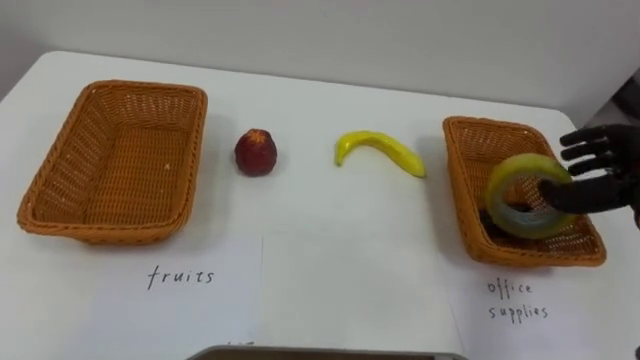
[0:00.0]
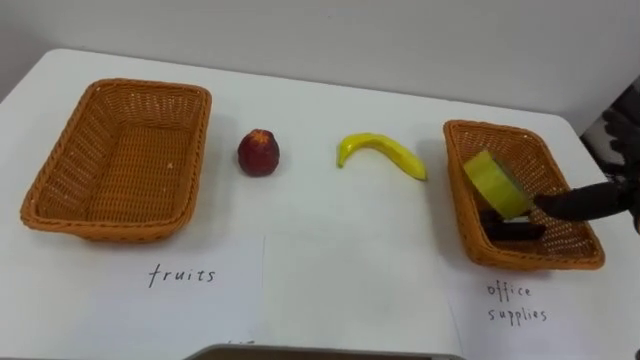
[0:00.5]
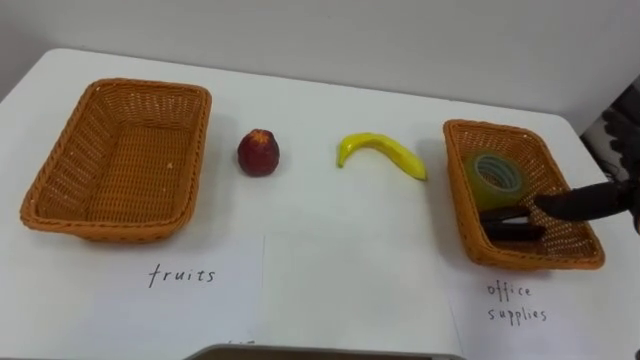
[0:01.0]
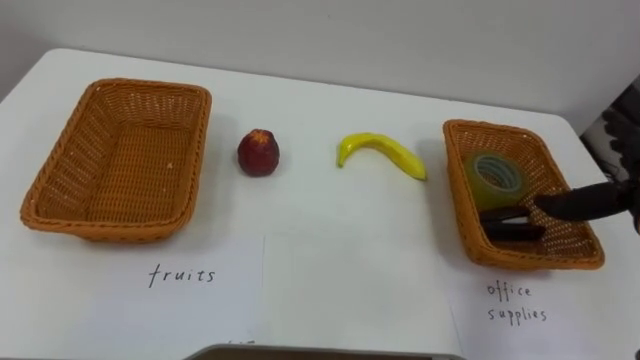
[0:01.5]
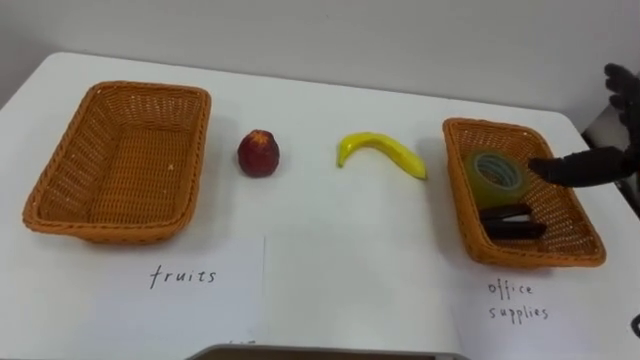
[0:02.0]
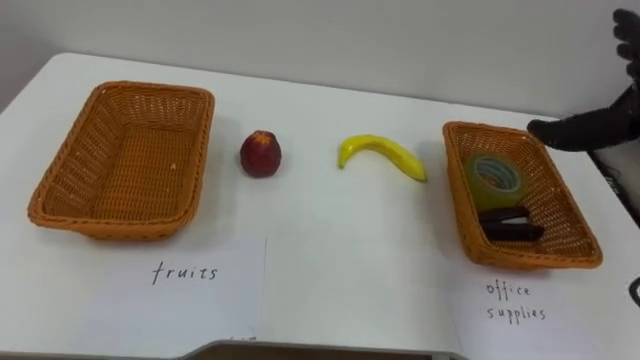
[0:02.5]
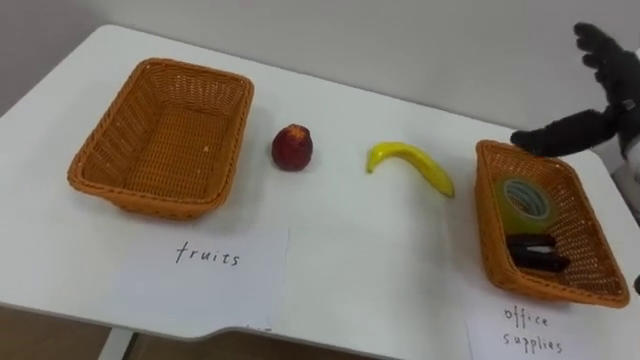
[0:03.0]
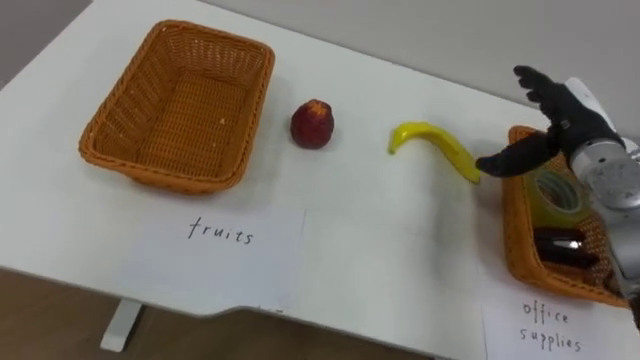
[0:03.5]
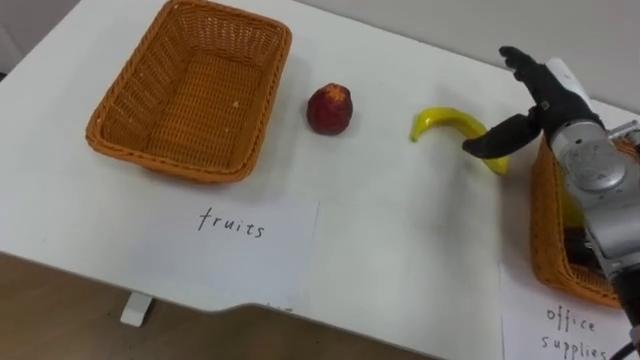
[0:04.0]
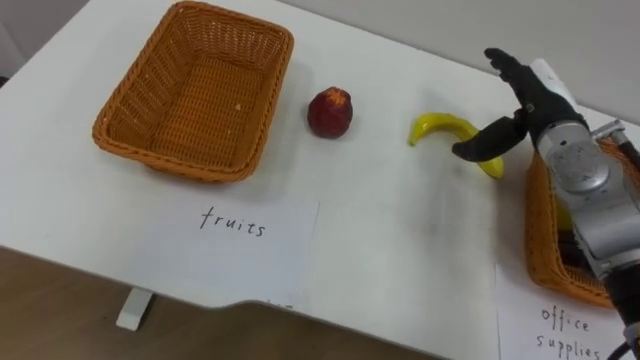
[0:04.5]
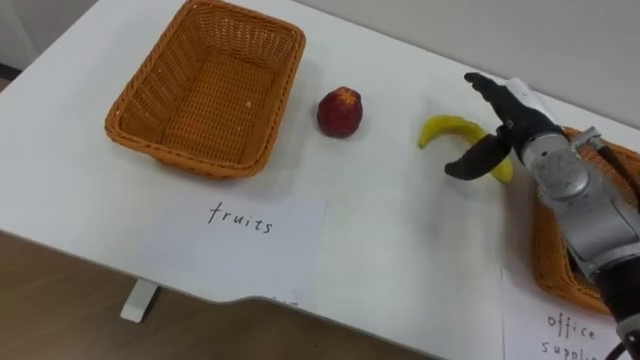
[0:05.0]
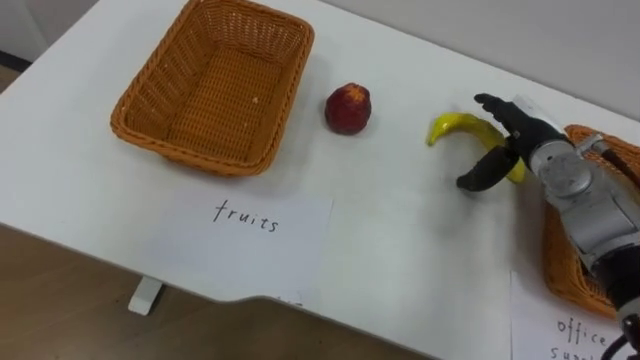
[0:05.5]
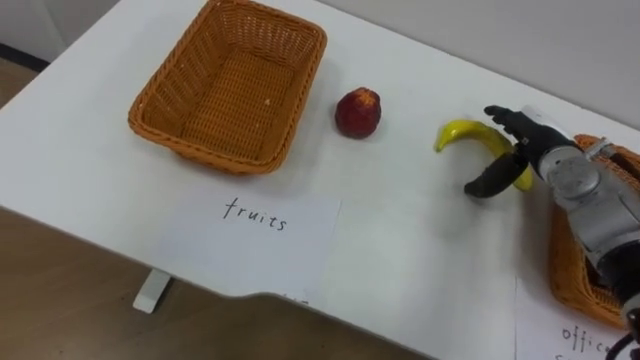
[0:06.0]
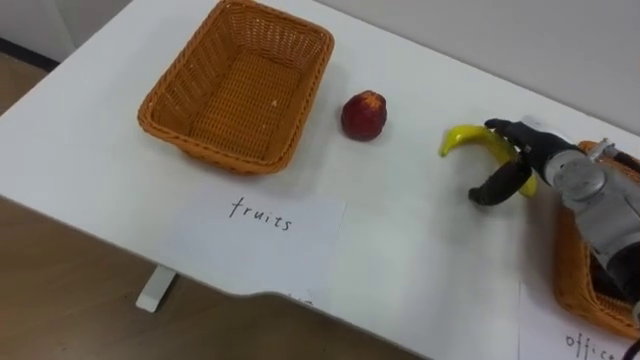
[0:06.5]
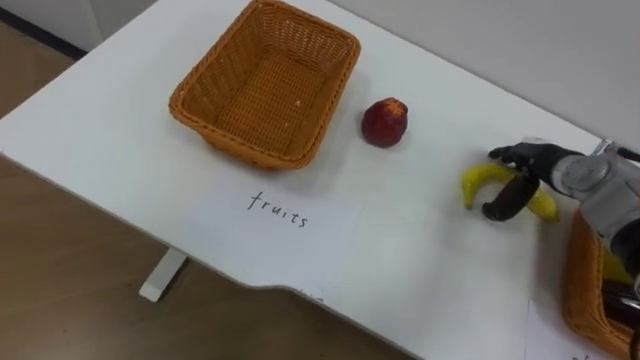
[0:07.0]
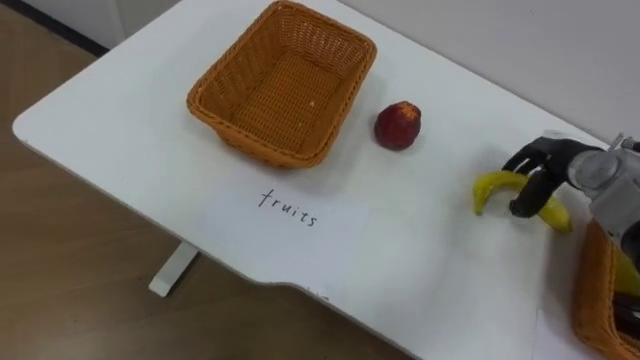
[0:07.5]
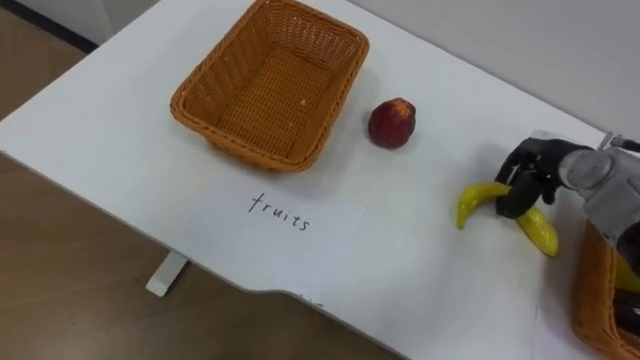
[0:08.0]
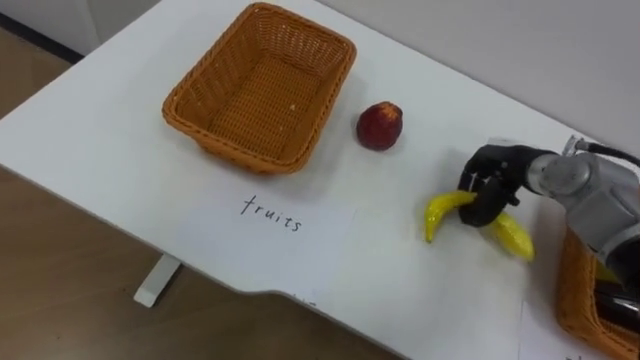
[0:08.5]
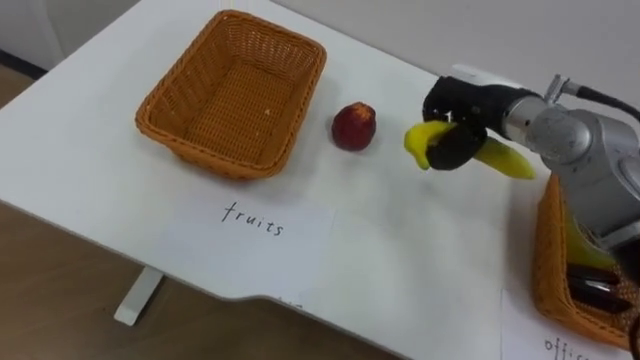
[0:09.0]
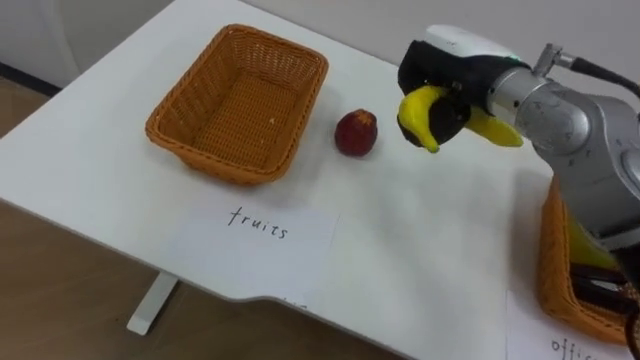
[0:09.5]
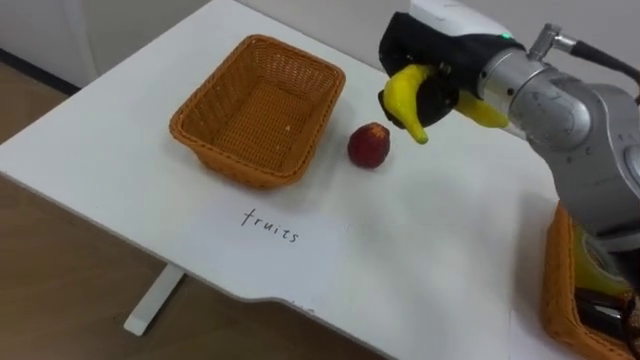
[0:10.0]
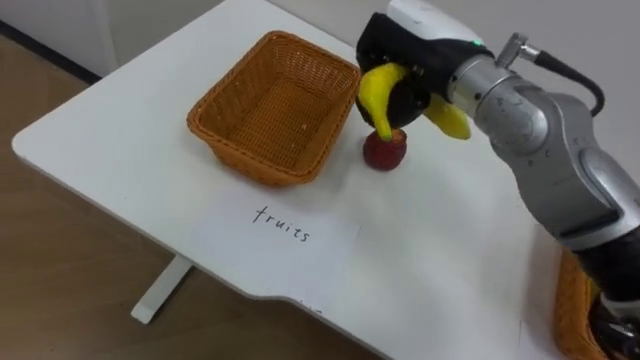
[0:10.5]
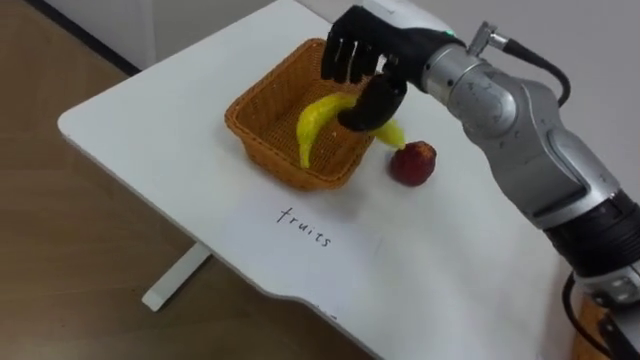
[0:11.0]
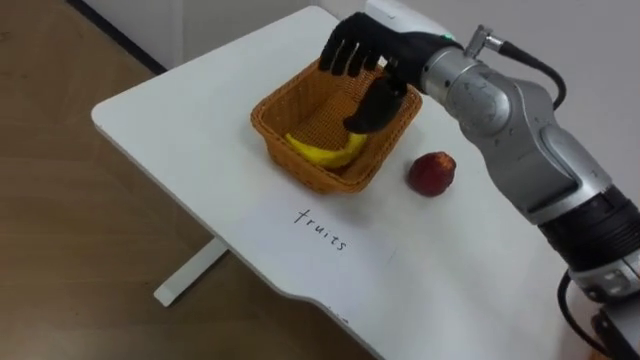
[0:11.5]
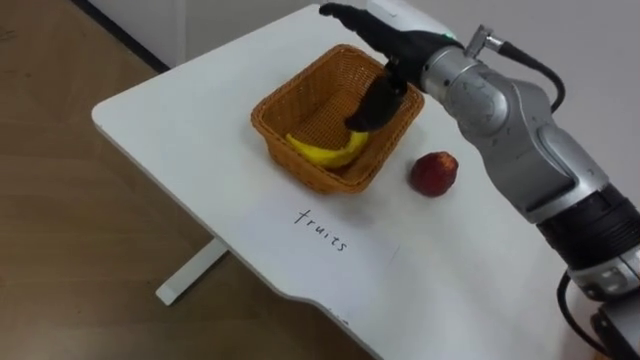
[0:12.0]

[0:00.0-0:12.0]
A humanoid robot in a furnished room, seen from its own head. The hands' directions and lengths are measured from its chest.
Task of the whole recording: Separate the items on the table and place them into the two baskets.
0:04.0 to 0:06.0: The right hand shifts approximately 5 cm downward.
0:06.0 to 0:08.0: The right hand closes.
0:08.0 to 0:10.0: The right hand travels upward and to the left by approximately 25 cm.
0:10.0 to 0:12.0: The right hand shifts by roughly 5 cm, and opens.

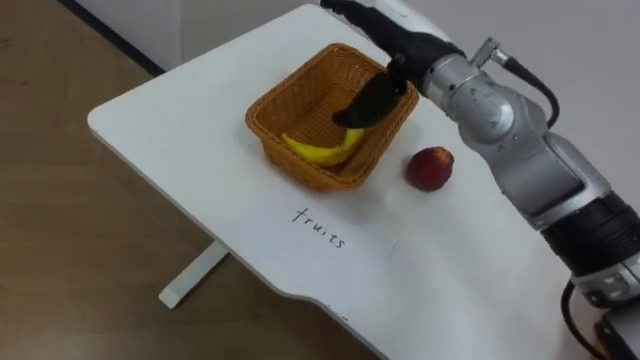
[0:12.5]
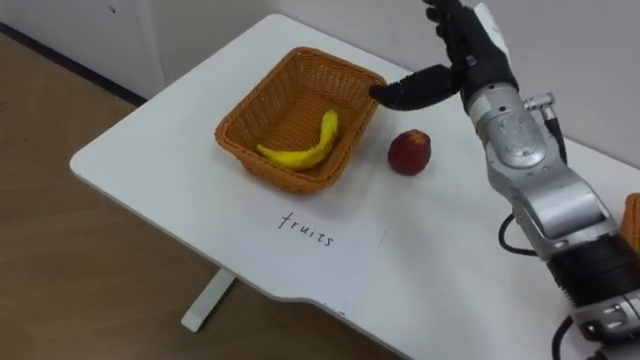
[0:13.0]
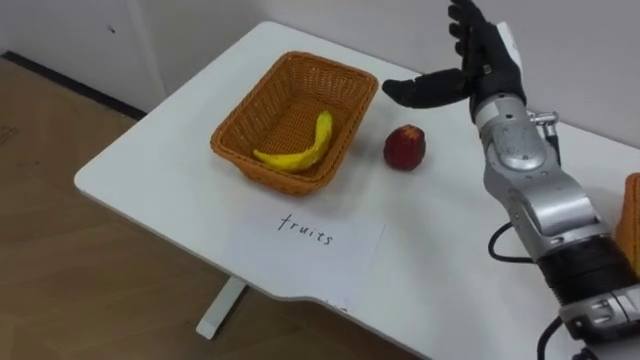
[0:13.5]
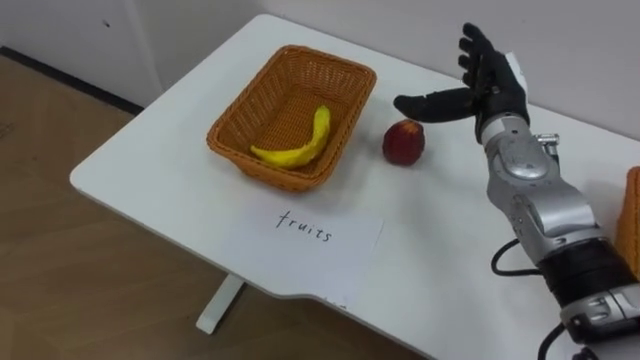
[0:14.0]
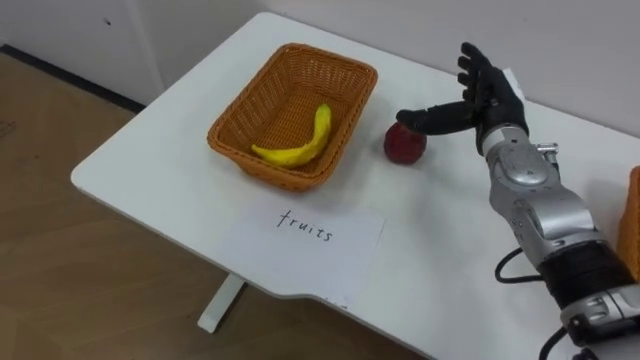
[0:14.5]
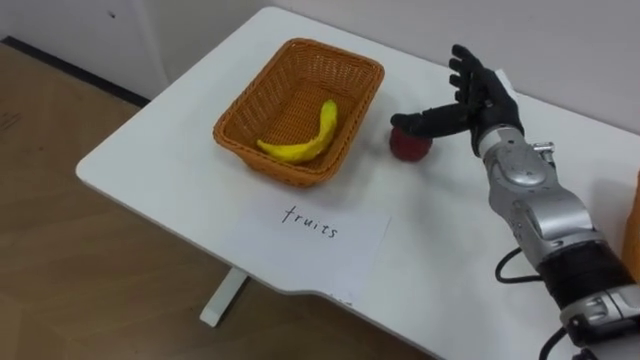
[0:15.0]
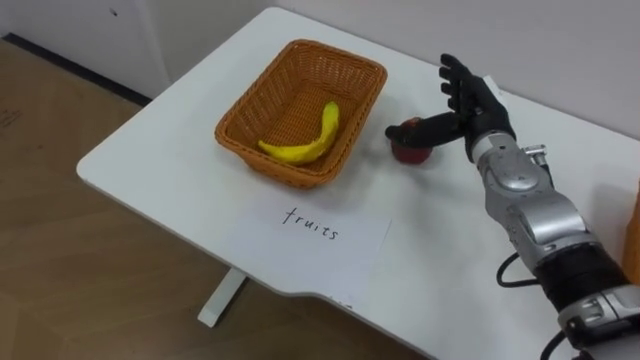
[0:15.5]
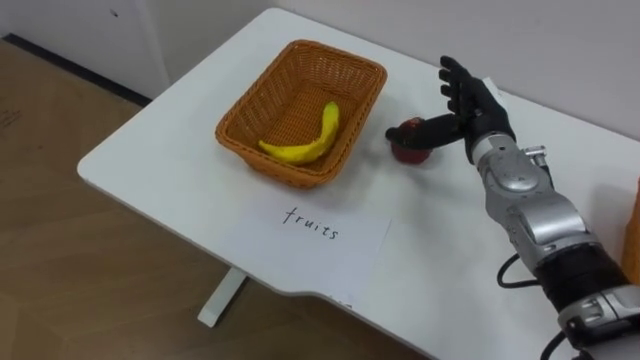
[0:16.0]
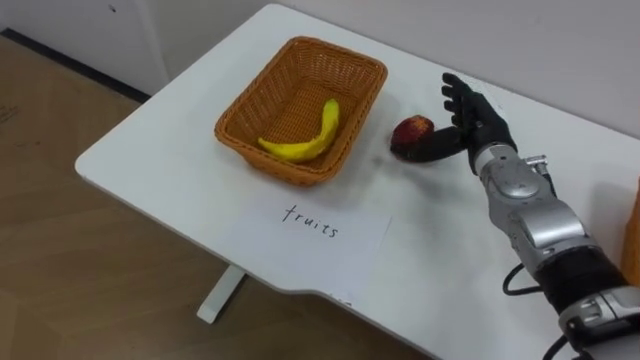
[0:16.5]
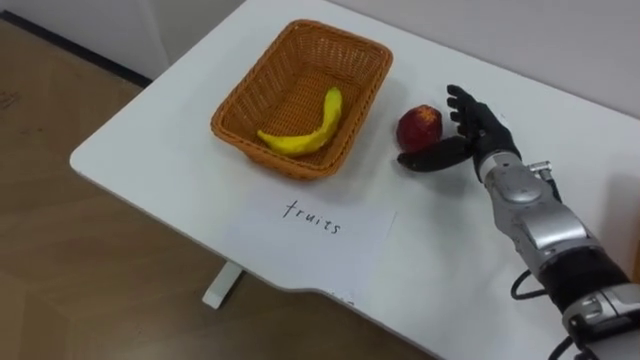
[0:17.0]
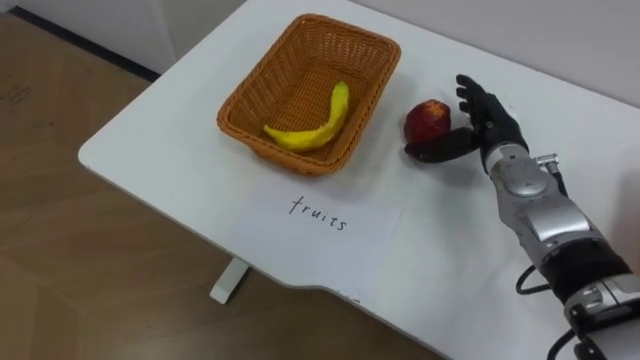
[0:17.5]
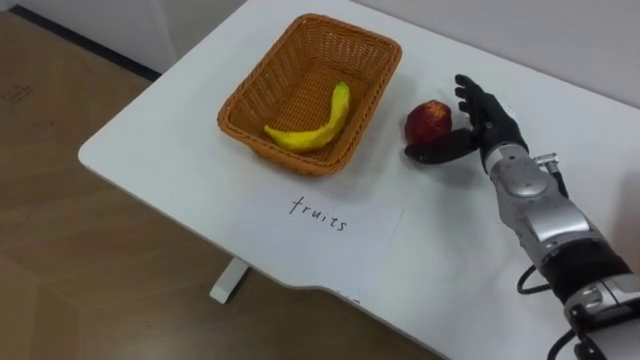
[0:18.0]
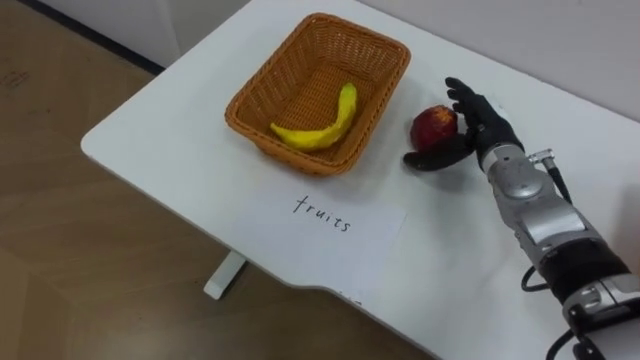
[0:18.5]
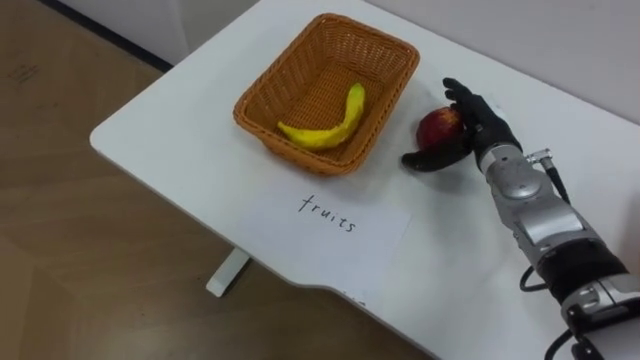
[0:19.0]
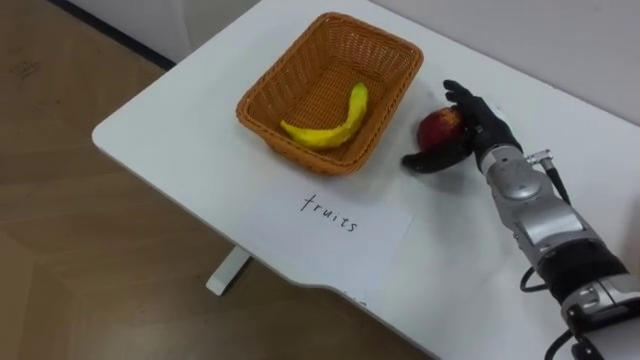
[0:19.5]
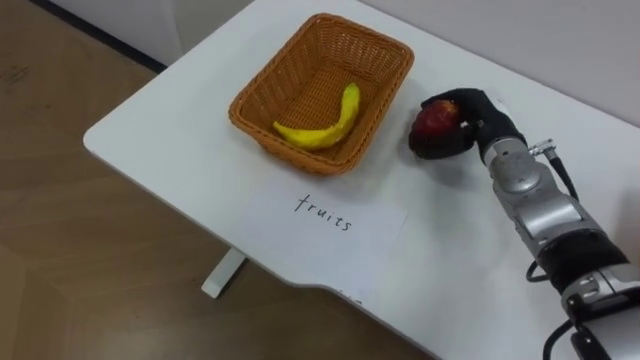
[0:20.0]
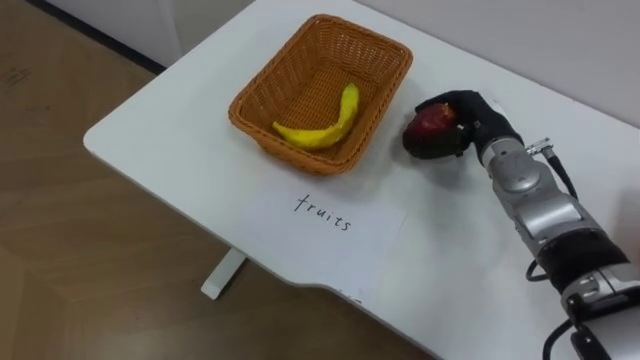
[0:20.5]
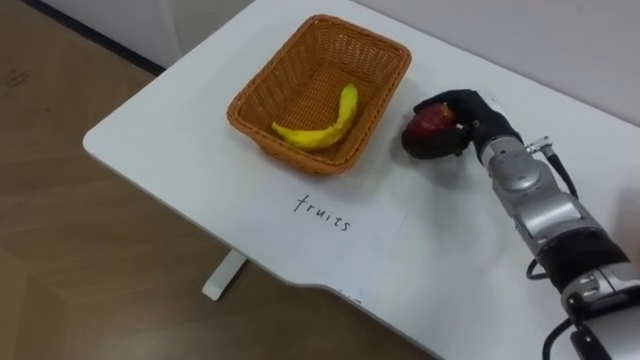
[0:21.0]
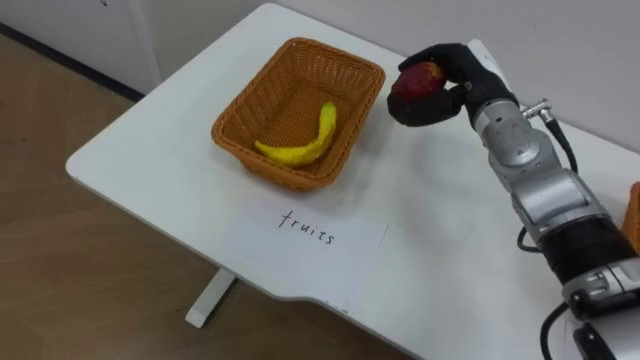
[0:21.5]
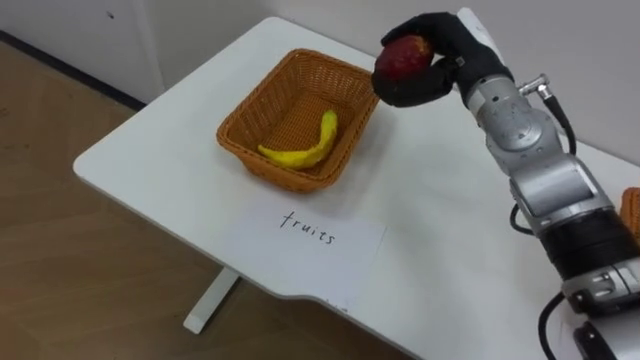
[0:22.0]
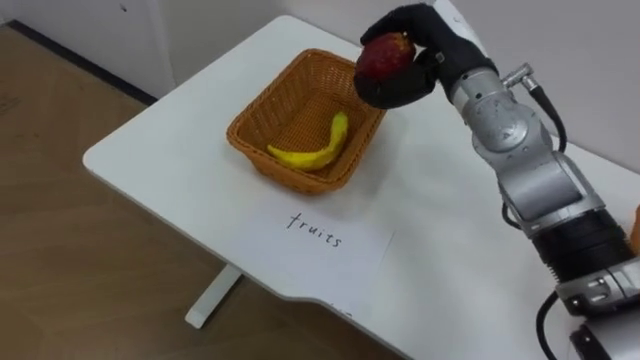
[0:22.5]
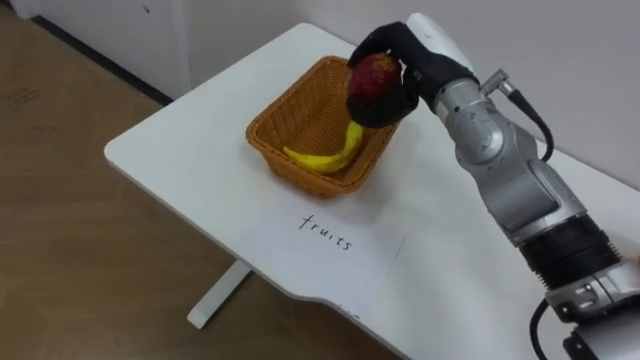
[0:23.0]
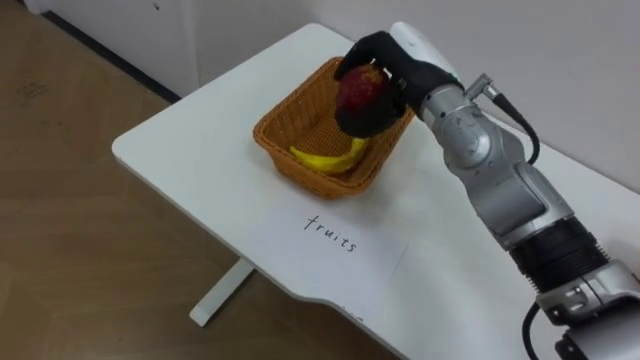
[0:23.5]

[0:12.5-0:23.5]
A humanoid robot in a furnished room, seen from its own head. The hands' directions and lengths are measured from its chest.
Task of the whole recording: Separate the items on the table and place them into the two baskets.
0:12.5 to 0:14.5: The right hand is displaced to the right and downward by approximately 15 cm.
0:18.0 to 0:20.0: The right hand closes up.
0:20.0 to 0:21.5: The right hand shifts approximately 5 cm upward.
0:21.5 to 0:23.5: The right hand travels to the left by about 10 cm.
